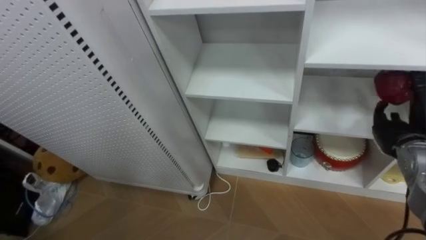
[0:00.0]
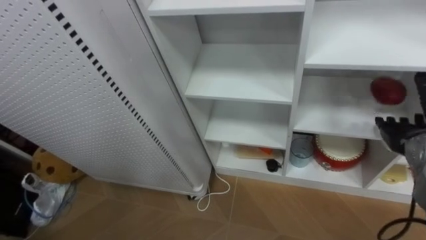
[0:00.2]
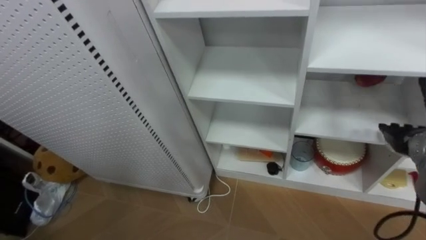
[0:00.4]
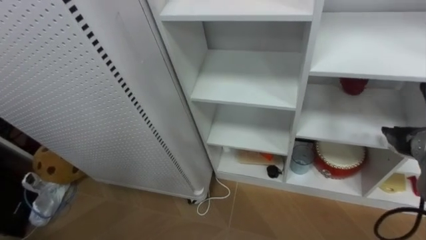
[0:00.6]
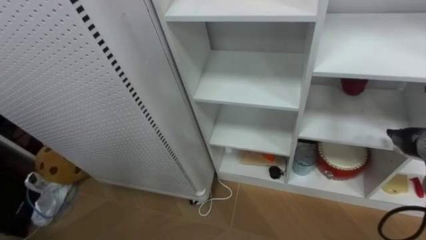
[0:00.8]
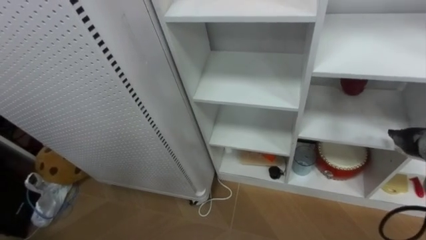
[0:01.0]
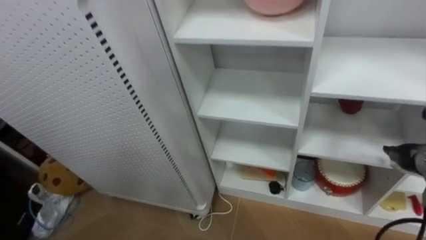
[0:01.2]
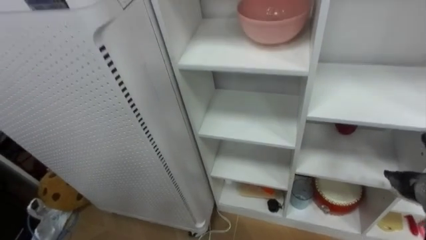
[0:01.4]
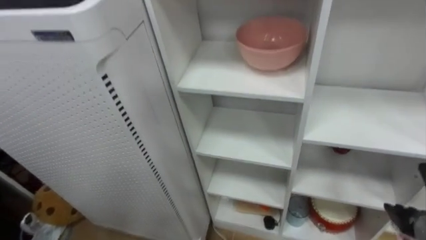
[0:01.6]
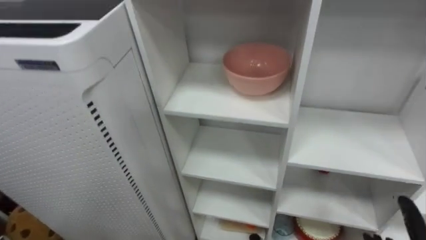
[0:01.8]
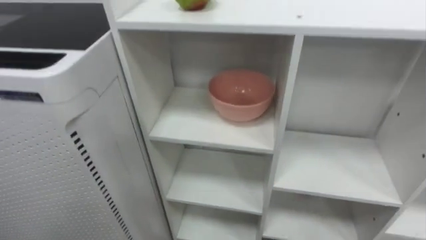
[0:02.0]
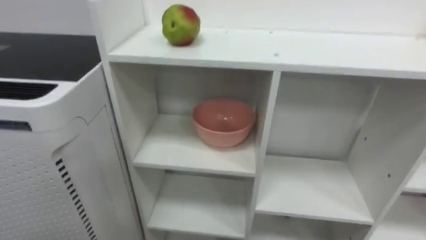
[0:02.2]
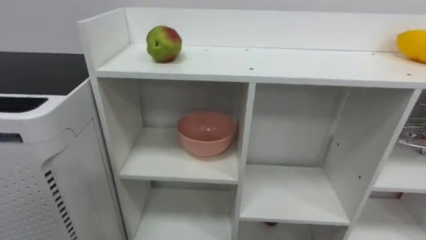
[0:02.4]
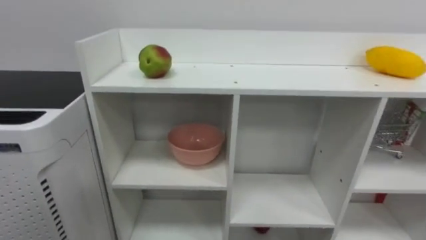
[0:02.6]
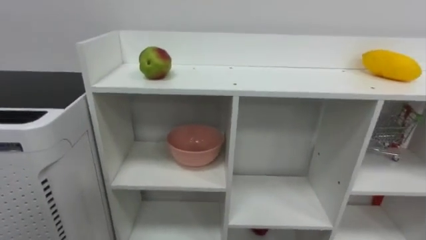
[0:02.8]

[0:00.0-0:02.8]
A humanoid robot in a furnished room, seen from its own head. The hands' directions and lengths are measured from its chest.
Task of the whole recording: Put the apple in the cell in the second column from the left and the second row from the top.
0:00.0 to 0:01.4: The right hand shifts roughly 5 cm downward.

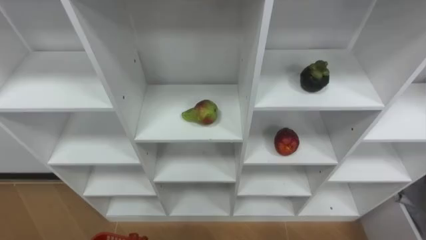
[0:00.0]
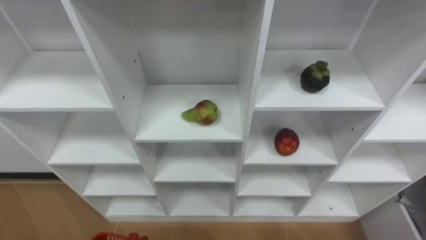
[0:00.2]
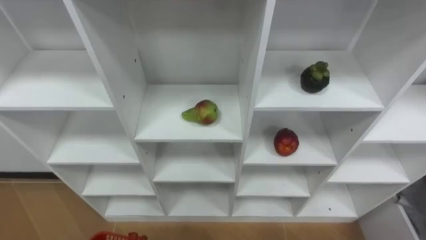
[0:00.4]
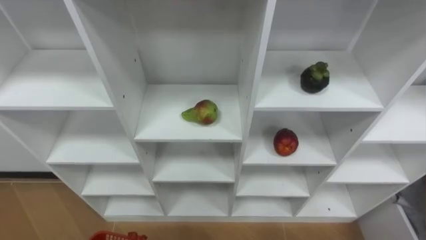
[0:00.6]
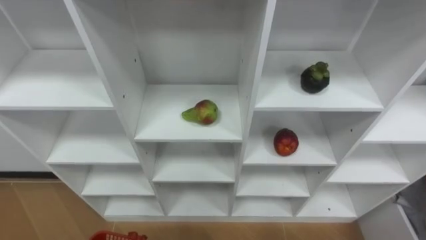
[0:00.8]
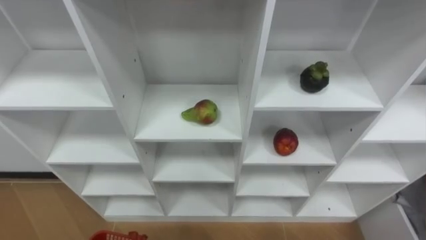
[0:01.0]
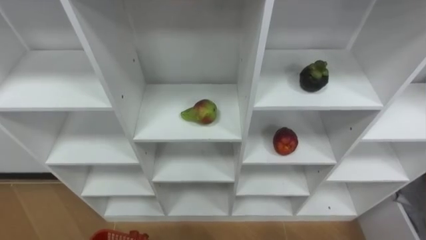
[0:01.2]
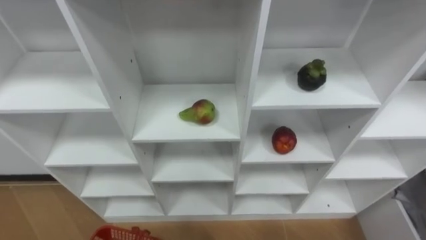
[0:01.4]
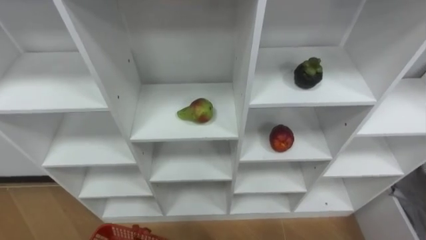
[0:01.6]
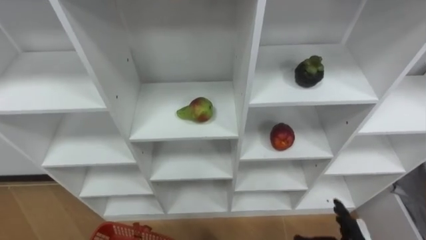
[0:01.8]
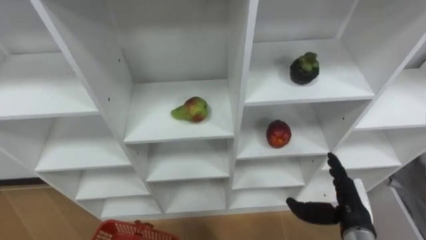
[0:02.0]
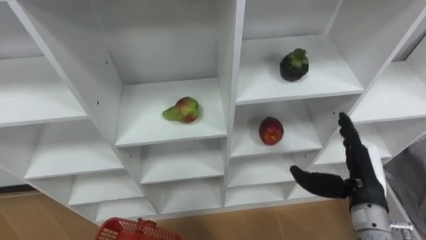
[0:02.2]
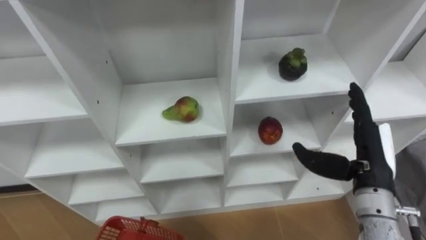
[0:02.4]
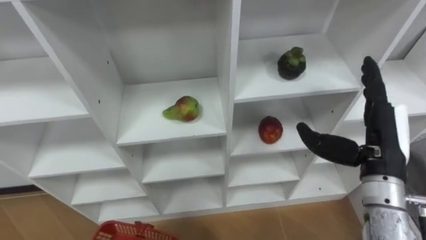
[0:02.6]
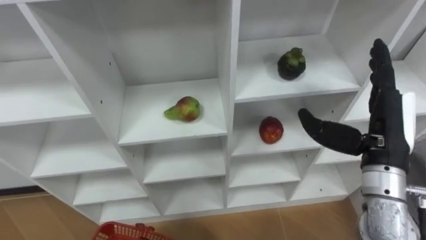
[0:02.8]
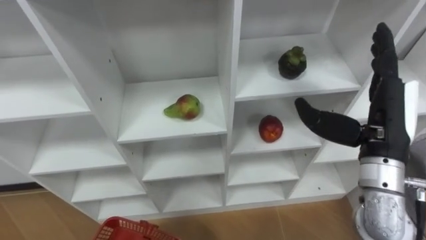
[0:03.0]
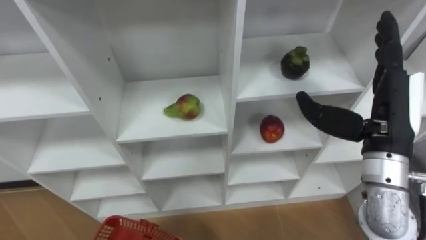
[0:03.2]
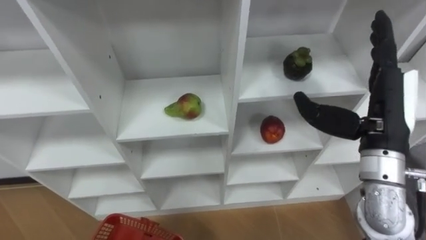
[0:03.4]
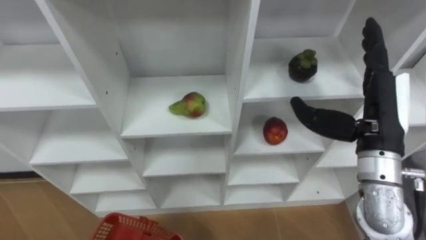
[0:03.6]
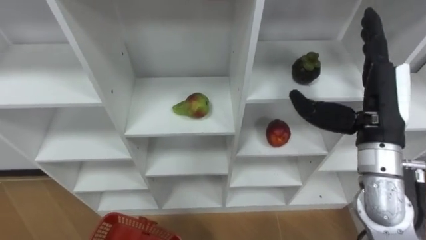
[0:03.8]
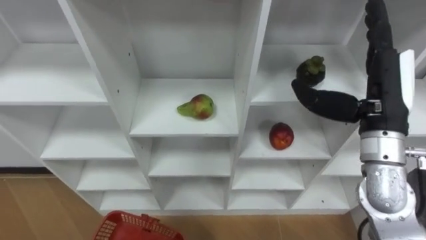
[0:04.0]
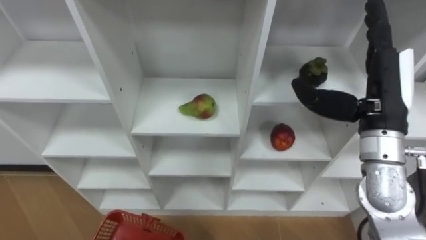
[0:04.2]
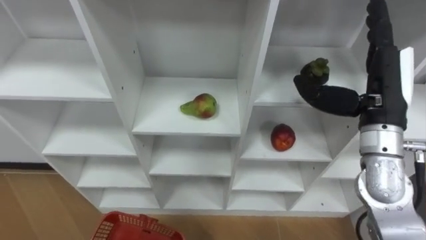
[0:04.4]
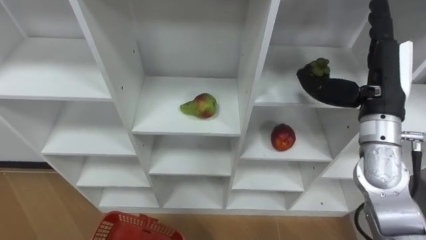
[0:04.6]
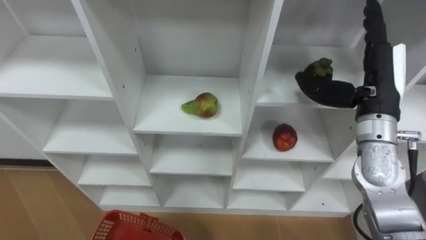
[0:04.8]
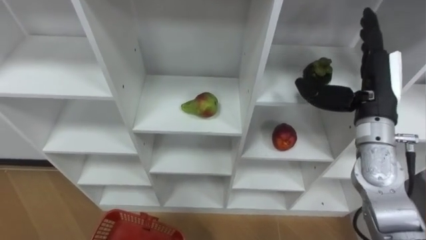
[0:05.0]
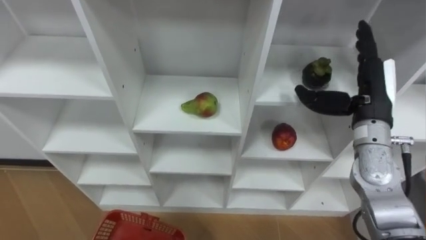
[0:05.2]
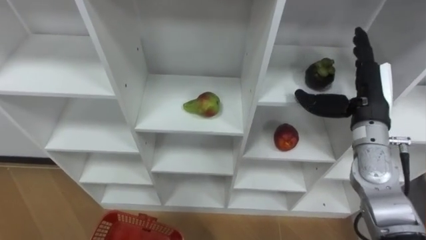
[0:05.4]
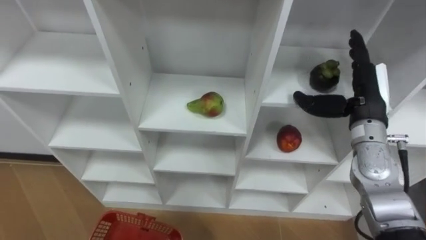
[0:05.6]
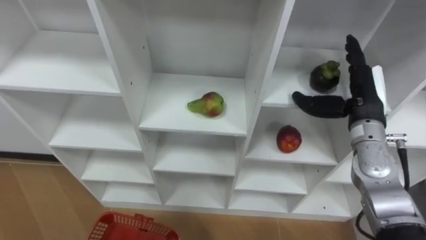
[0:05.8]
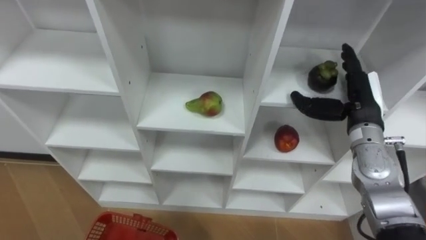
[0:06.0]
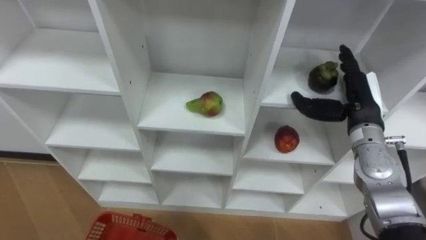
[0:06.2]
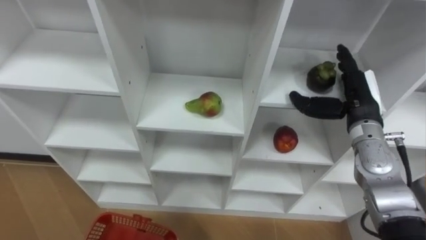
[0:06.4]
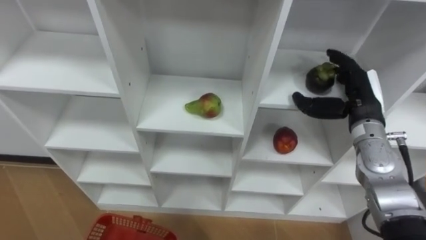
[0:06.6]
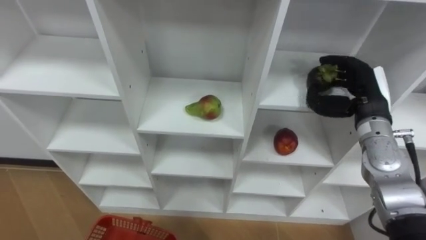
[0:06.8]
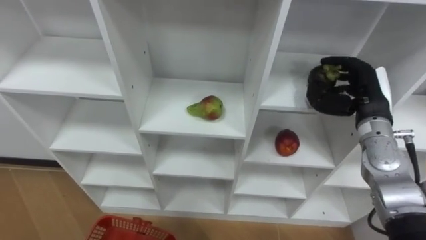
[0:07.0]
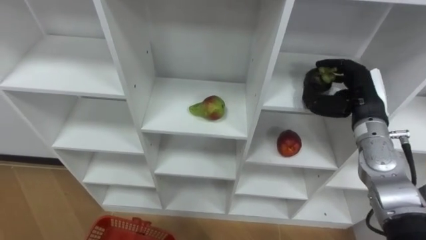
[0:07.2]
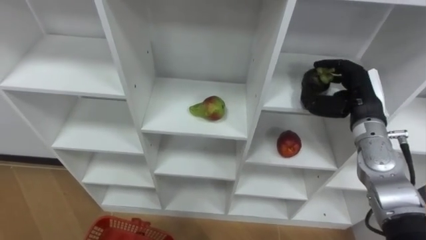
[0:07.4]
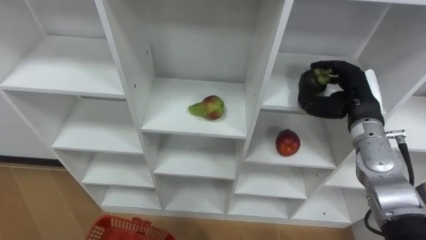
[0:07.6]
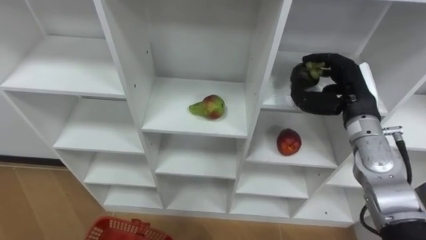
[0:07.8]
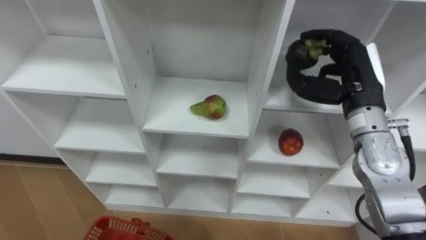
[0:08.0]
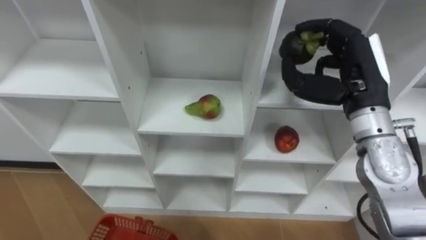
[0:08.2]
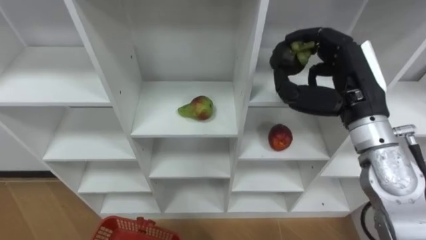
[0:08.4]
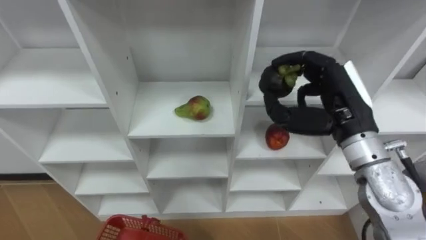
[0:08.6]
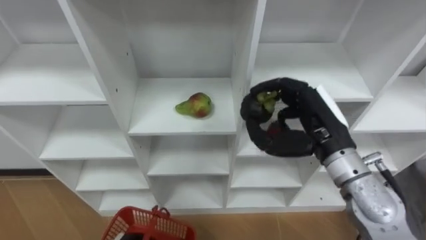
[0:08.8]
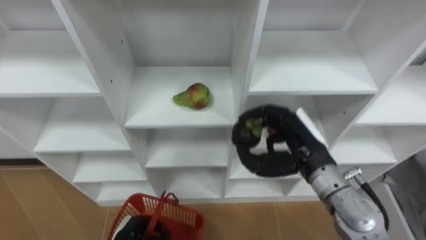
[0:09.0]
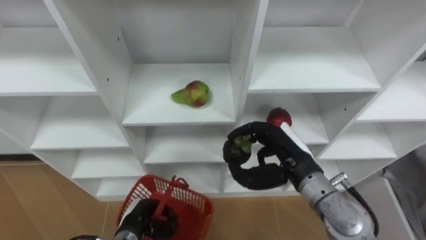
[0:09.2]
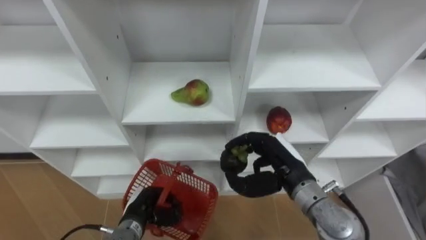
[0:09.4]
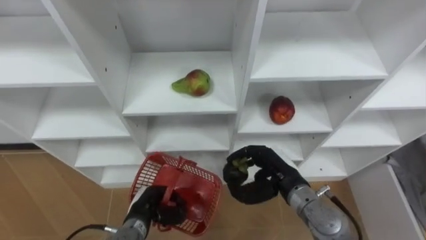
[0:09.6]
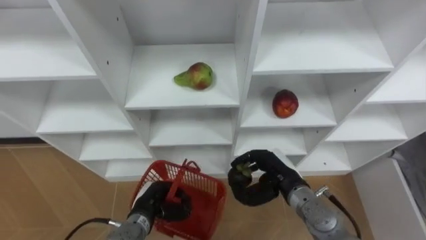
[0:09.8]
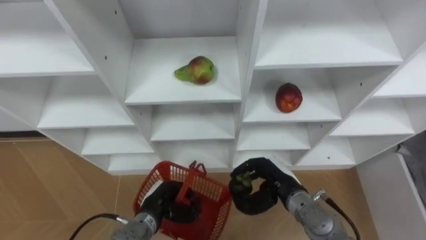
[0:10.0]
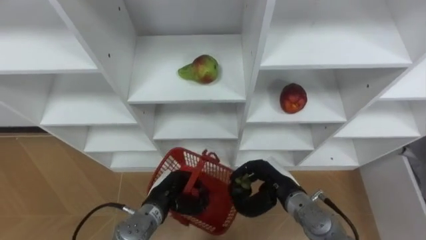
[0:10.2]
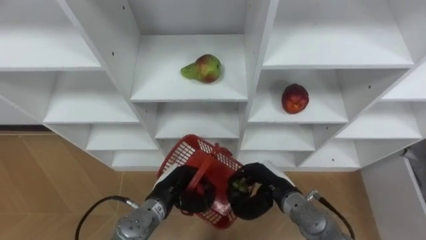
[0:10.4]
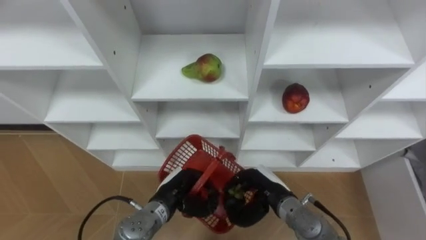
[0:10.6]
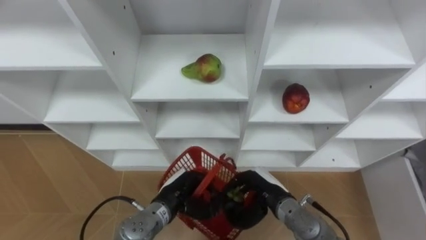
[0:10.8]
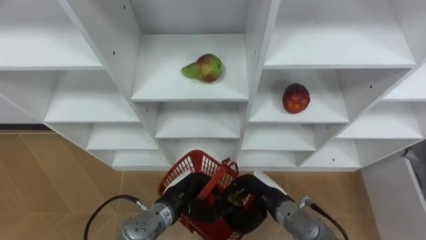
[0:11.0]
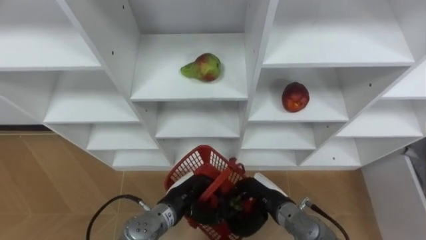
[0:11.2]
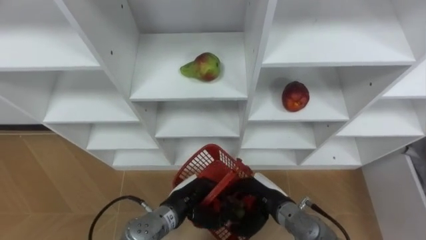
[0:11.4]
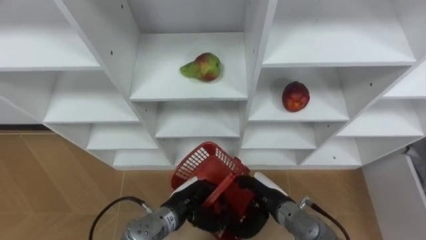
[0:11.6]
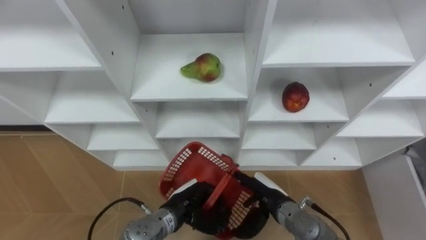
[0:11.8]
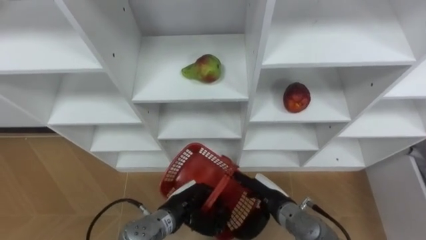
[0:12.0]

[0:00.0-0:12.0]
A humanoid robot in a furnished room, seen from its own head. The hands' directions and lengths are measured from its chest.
Task of the whole recording: Hold the basket and collect the fruits from 3 different cells of the closet into it.
0:04.4 to 0:06.0: The right hand heads downward, covering approximately 10 cm.
0:06.0 to 0:07.6: The right hand closes.
0:07.6 to 0:09.0: The right hand travels to the left and backward by approximately 15 cm, and moves about 10 cm upward and comes back.
0:09.0 to 0:10.4: The left hand heads to the right, forward and upward, covering about 15 cm; the right hand moves downward, approximately 15 cm.
0:10.4 to 0:12.0: The right hand opens.

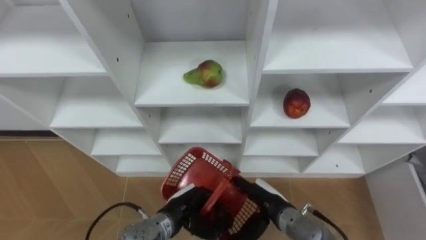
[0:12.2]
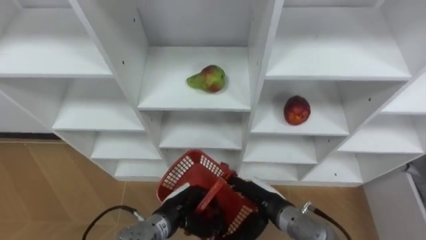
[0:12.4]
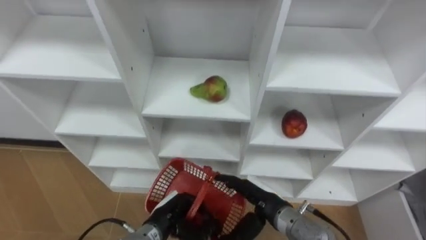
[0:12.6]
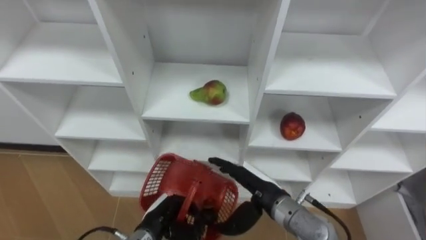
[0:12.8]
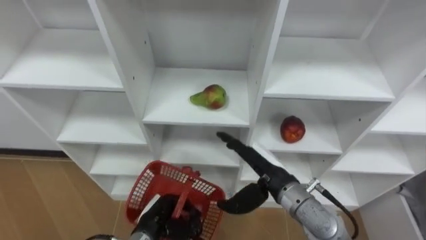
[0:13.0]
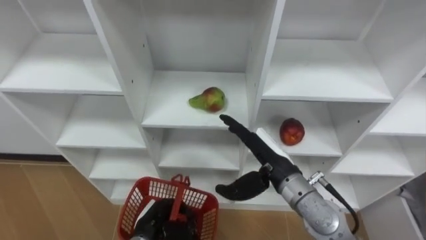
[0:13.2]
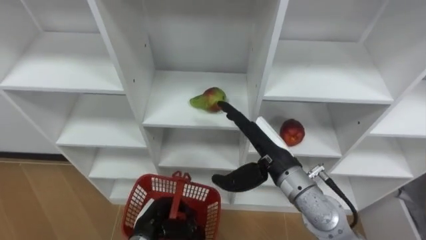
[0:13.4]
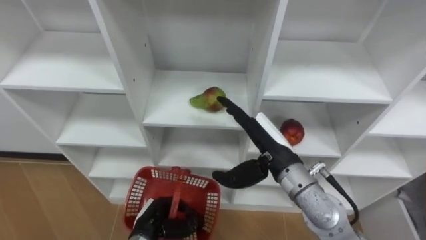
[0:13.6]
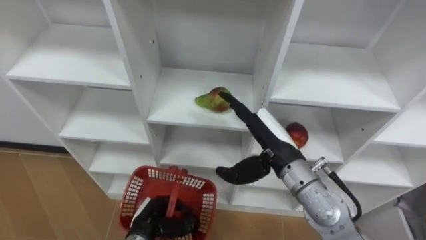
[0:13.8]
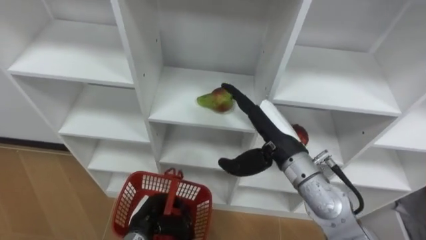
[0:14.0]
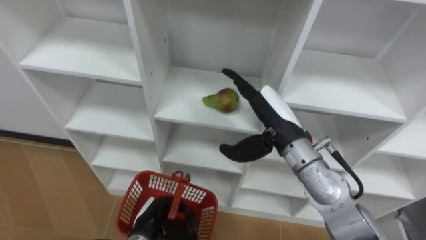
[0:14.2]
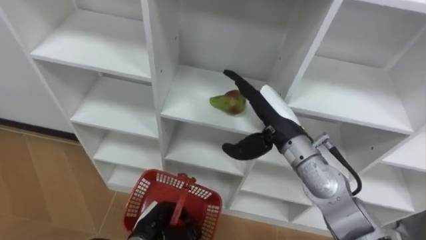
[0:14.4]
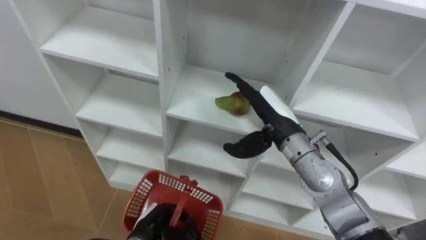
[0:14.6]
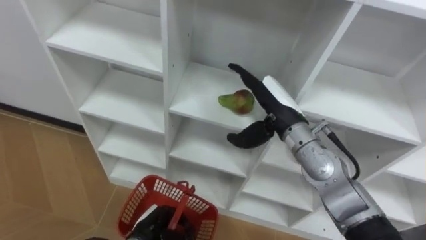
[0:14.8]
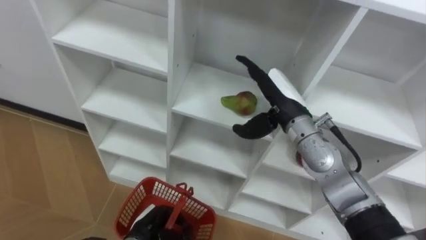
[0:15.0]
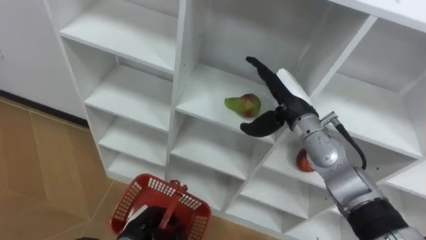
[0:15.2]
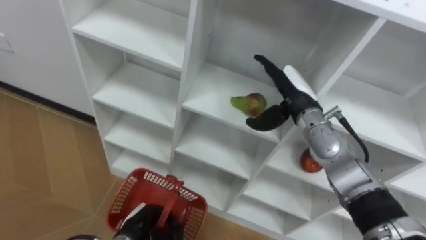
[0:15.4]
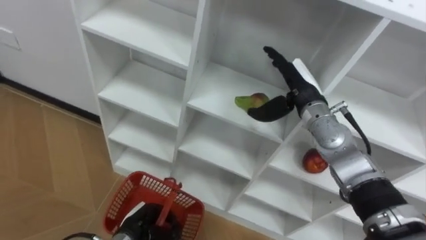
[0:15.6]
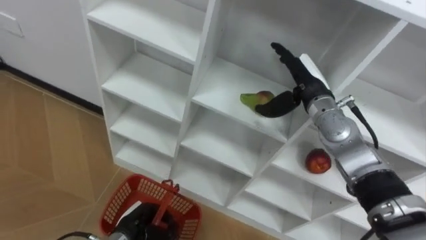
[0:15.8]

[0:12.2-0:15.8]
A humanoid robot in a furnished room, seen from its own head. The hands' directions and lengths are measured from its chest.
Task of the whole recording: Hold the basket and collect the fruits from 3 different cells of the closet into it.
0:12.2 to 0:14.0: The right hand goes about 20 cm upward. The left hand travels to the left by roughly 10 cm.
0:14.0 to 0:15.8: The right hand shifts some 15 cm forward and to the right.
